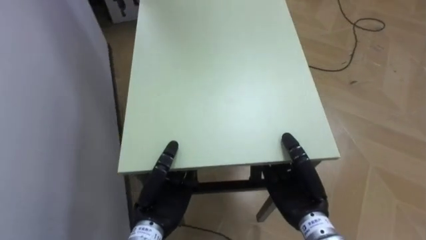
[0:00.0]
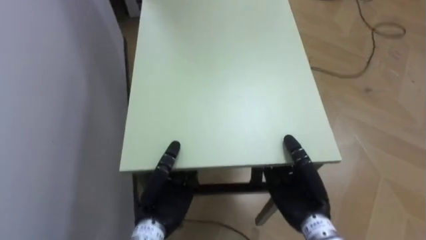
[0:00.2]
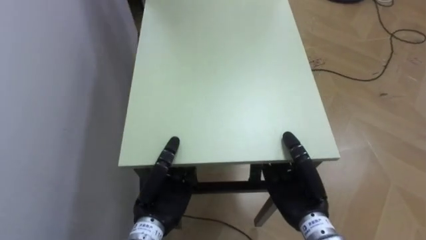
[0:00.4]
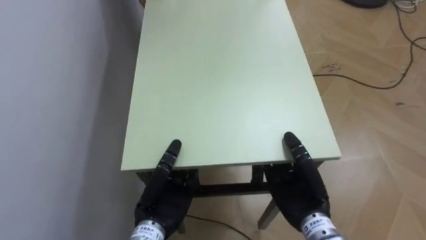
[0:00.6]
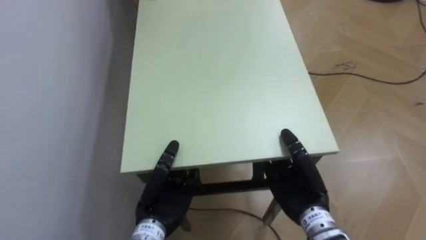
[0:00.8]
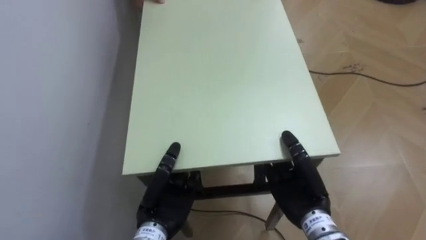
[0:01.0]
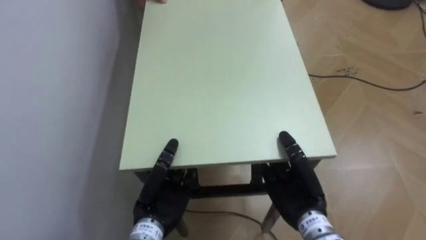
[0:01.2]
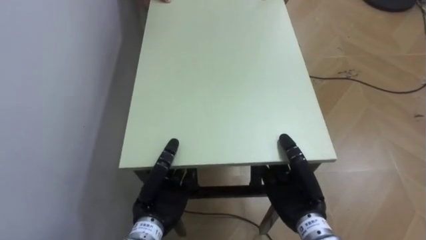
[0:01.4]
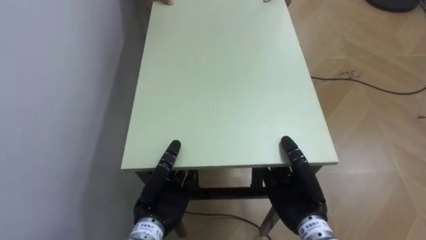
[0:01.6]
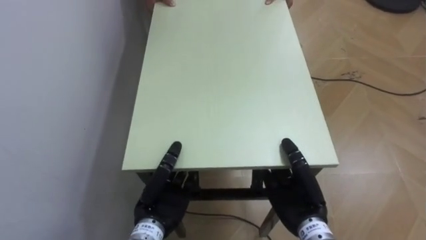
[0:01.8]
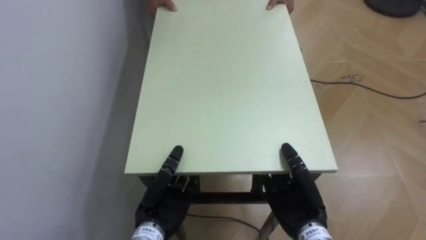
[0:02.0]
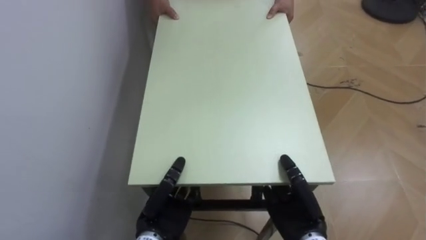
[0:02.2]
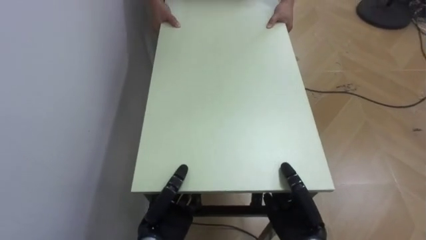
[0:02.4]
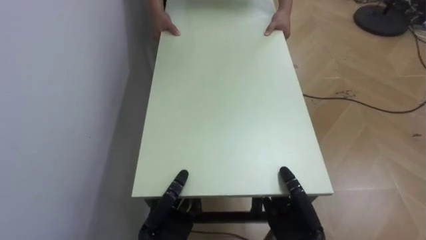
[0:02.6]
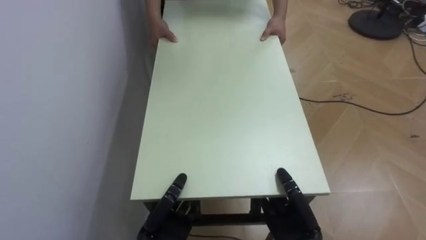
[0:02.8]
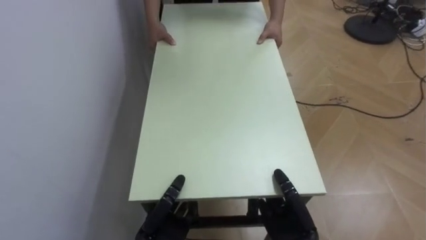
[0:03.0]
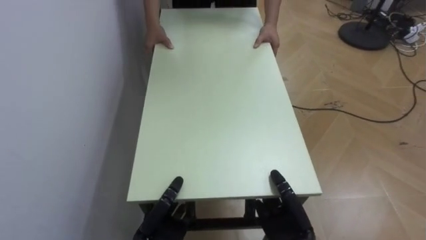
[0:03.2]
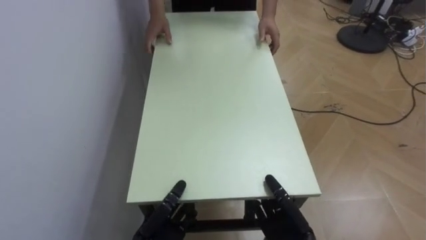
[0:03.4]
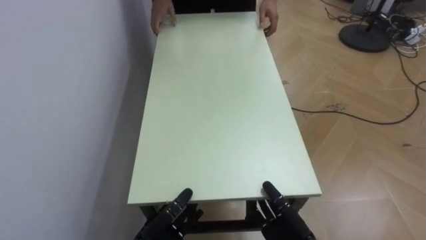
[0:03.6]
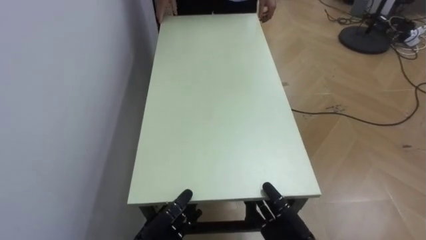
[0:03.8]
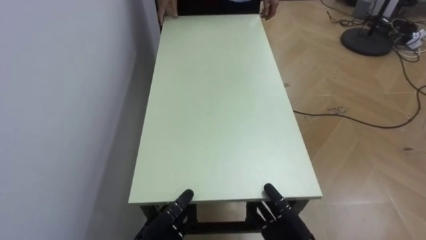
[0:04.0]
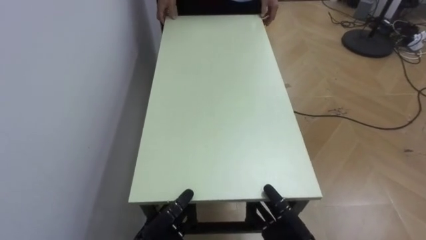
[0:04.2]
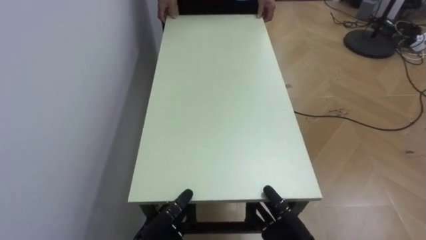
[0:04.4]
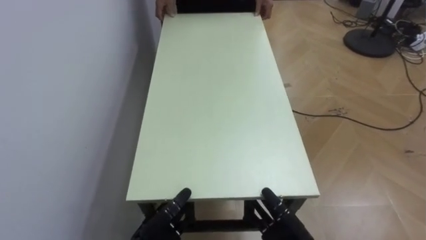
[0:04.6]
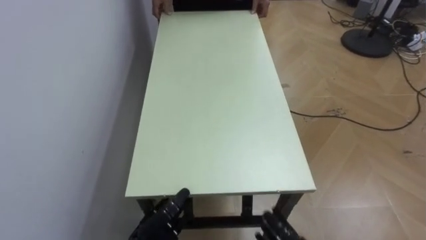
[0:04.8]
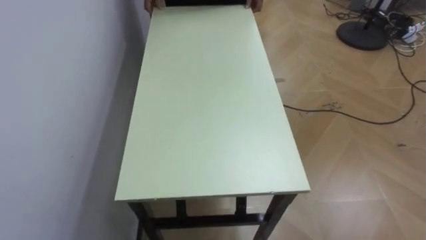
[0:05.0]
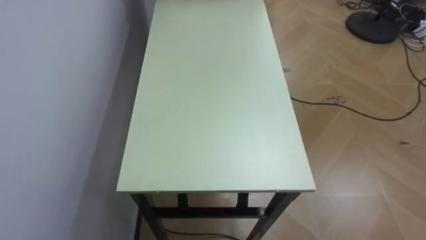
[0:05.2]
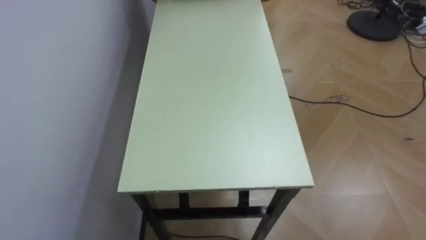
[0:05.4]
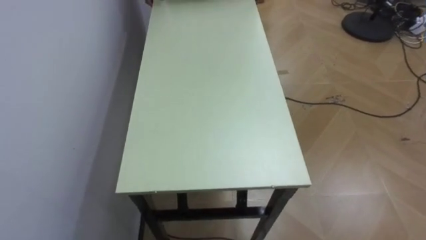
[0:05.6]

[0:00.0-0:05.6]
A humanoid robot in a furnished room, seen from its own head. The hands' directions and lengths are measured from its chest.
Task of the whole recording: Move the table to the back left with someone.
0:00.0 to 0:01.4: The robot rotates roughly 20 degrees to its left.
0:01.4 to 0:02.8: The hands both shift downward by about 5 cm.
0:02.8 to 0:04.2: The left hand opens up. Meanwhile the right hand opens.

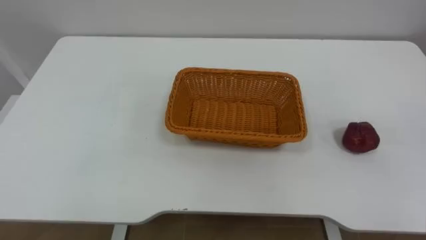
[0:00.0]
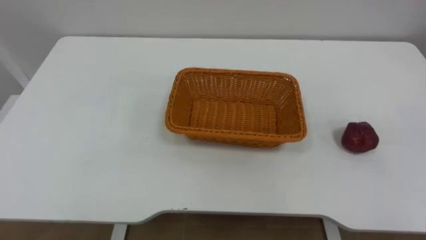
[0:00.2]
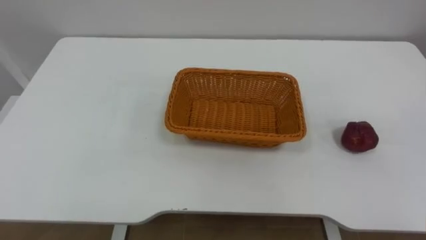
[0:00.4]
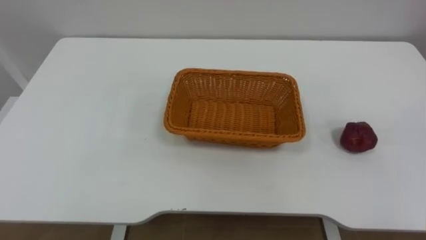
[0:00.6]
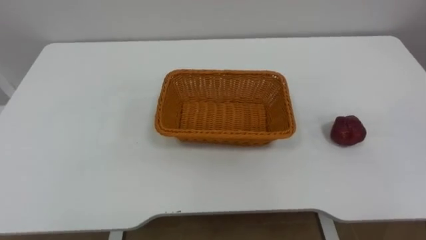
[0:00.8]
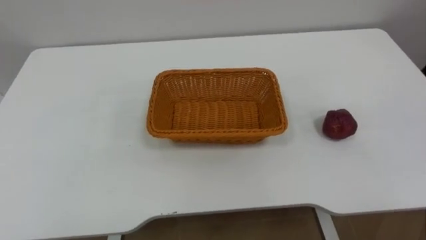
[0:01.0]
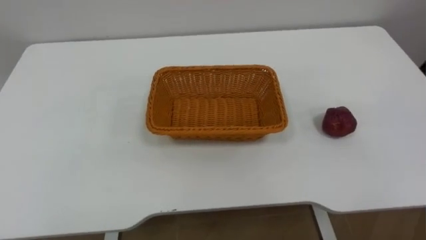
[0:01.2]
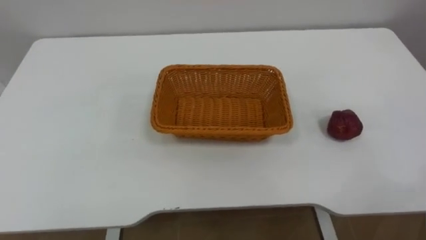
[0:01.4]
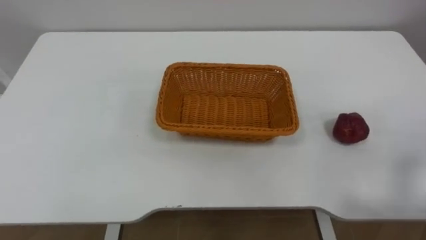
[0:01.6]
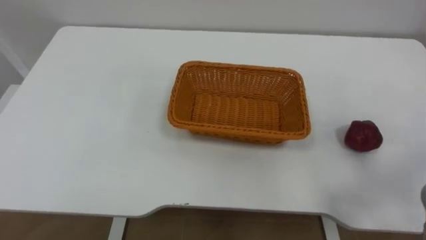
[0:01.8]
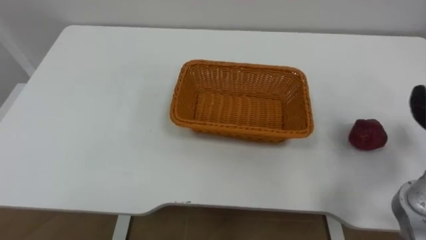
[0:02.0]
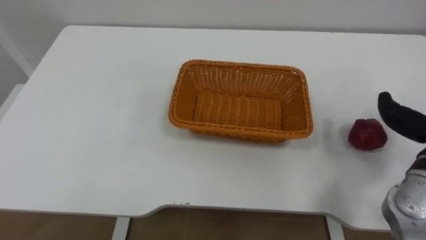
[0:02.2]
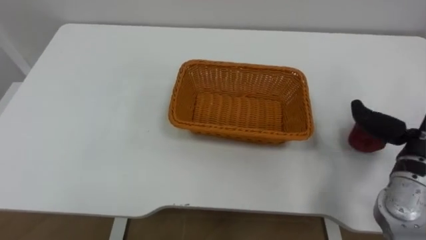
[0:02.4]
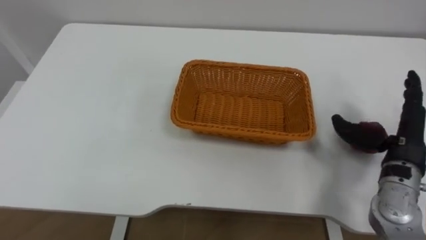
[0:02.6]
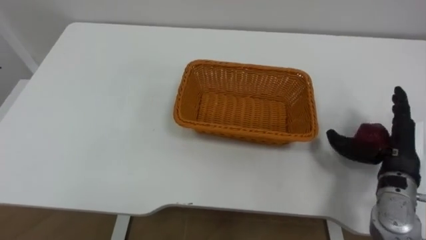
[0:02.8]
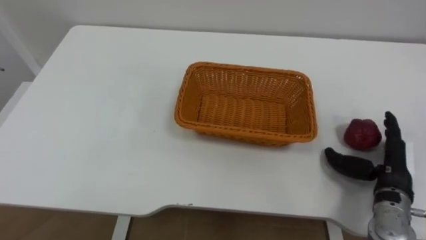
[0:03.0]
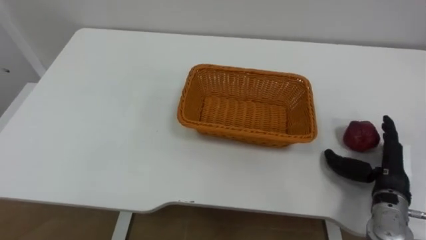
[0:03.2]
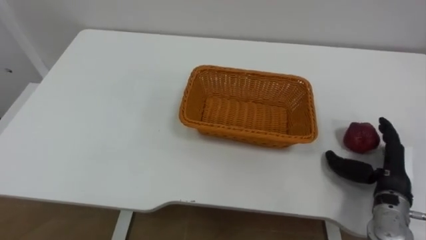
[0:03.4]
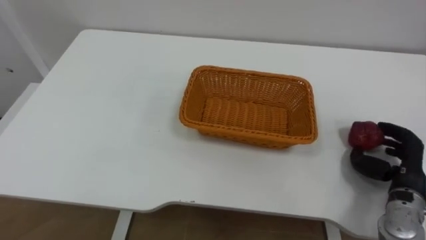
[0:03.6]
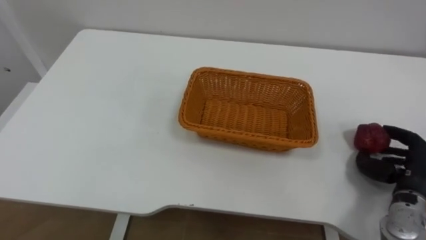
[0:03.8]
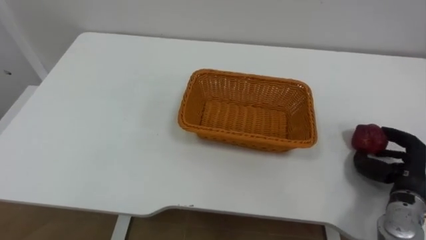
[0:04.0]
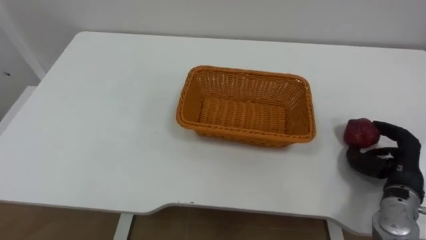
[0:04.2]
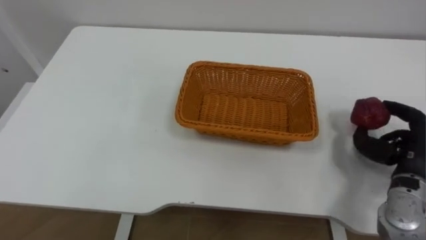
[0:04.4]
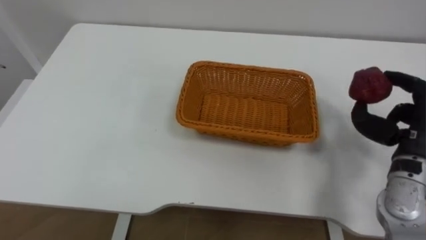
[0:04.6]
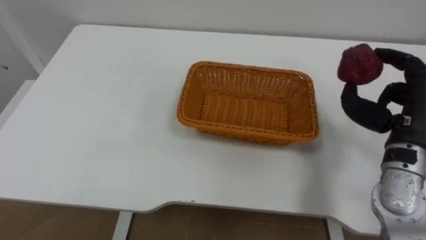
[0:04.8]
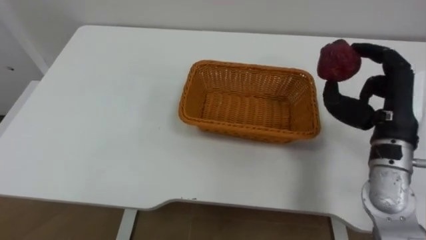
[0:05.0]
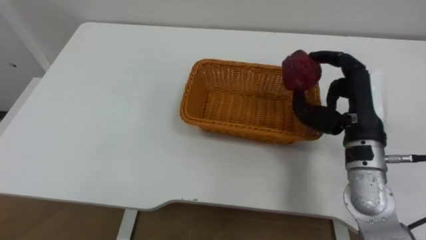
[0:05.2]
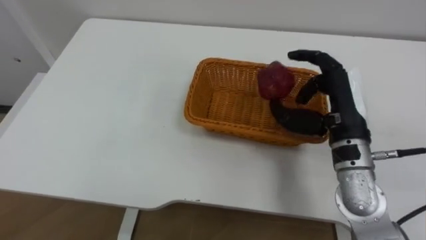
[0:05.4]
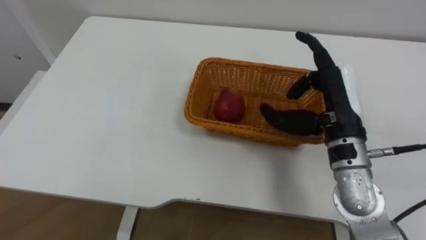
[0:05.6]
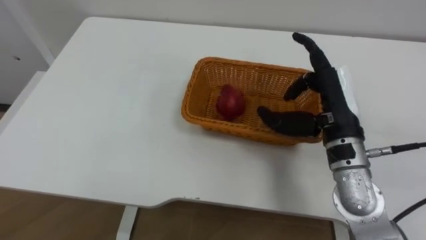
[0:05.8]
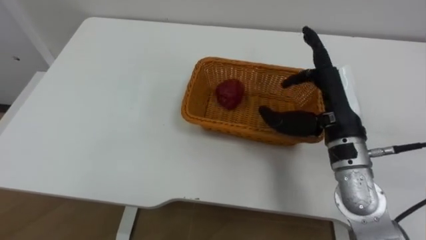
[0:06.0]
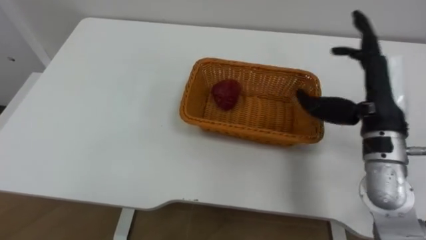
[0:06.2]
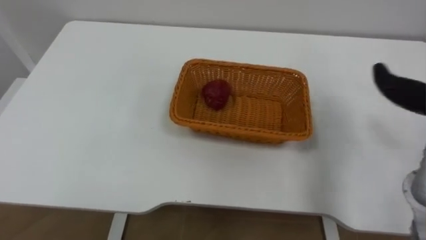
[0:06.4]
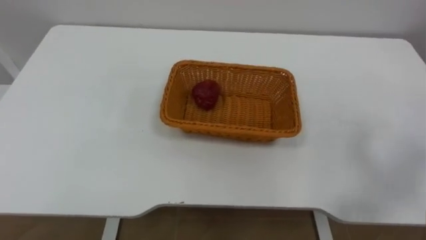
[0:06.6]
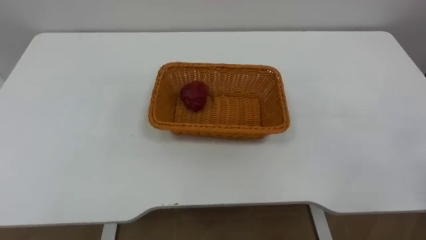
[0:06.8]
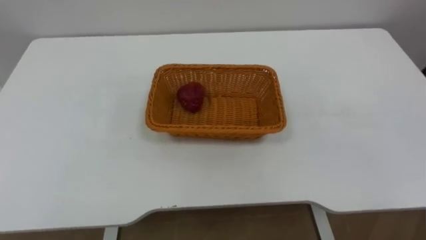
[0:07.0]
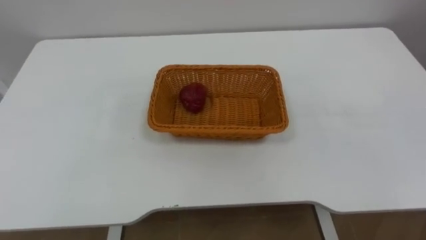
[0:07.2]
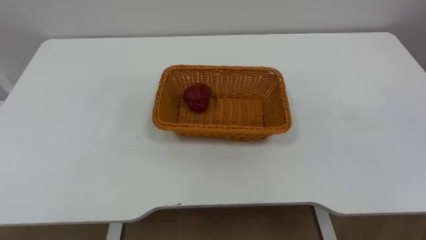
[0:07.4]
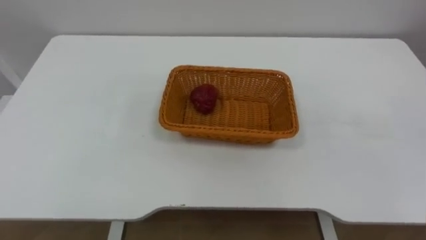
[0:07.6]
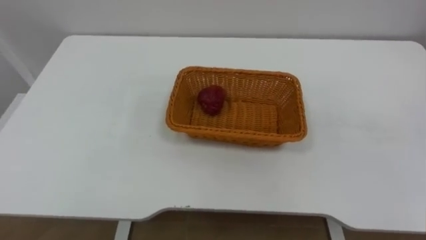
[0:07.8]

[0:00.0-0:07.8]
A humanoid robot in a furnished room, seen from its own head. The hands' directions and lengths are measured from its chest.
Task of the whole recording: Pick the apple and place it in the box.
0:03.2 to 0:04.6: The right hand heads upward, covering roughly 10 cm, and closes its fingers.
0:04.6 to 0:06.2: The right hand heads to the left and upward, covering some 10 cm, and opens up.

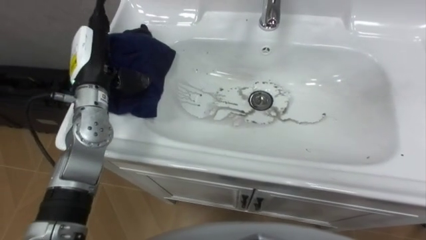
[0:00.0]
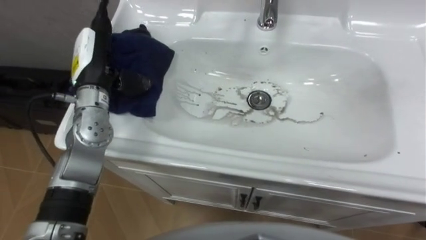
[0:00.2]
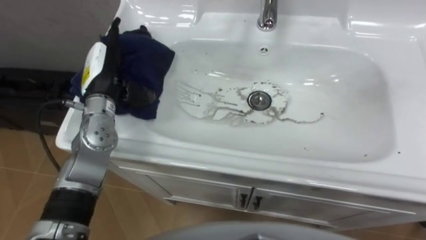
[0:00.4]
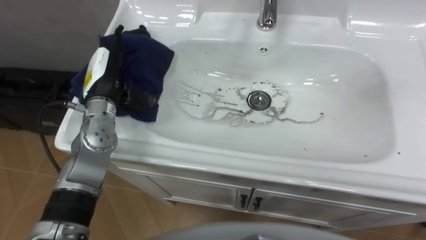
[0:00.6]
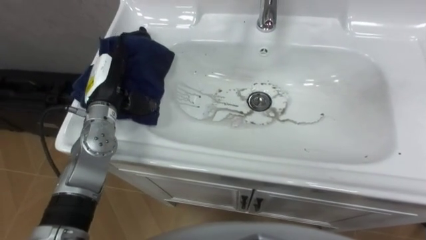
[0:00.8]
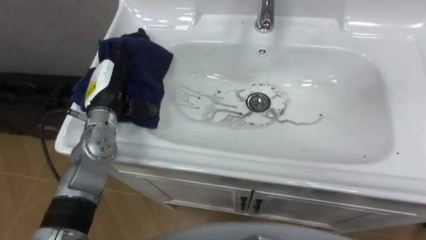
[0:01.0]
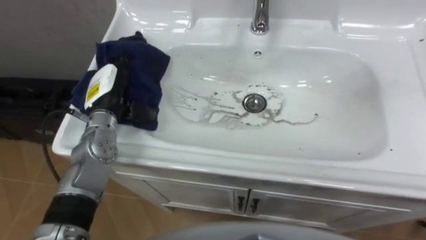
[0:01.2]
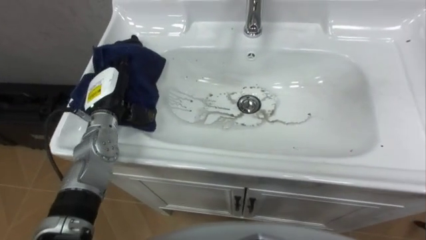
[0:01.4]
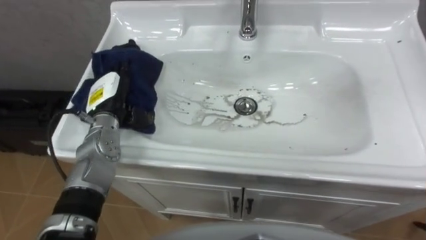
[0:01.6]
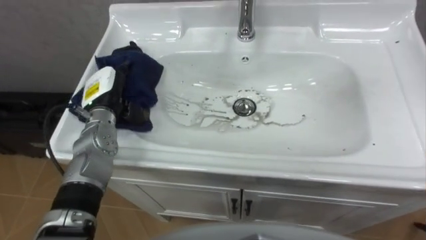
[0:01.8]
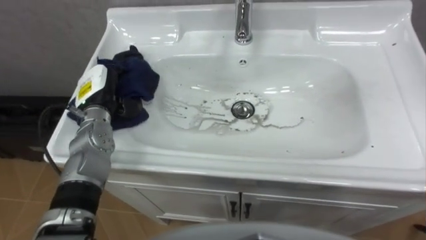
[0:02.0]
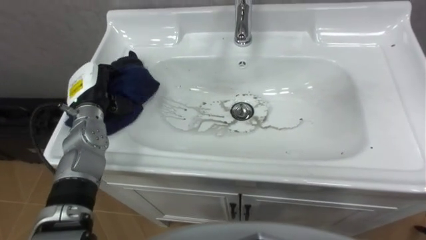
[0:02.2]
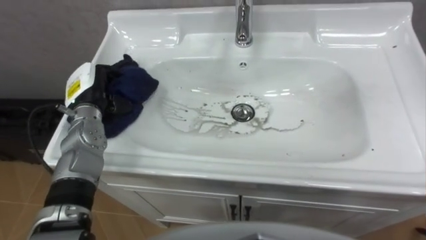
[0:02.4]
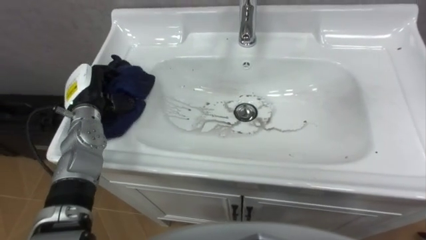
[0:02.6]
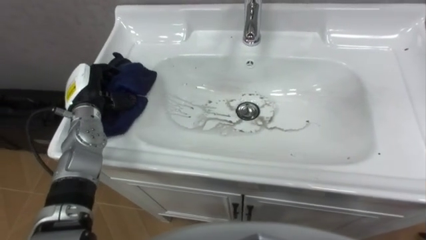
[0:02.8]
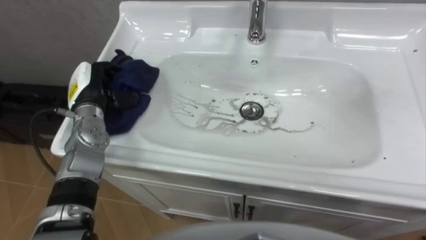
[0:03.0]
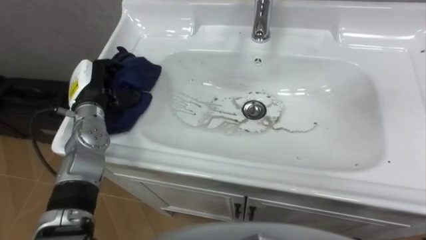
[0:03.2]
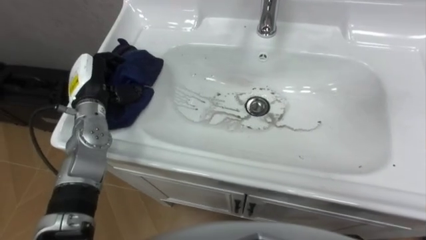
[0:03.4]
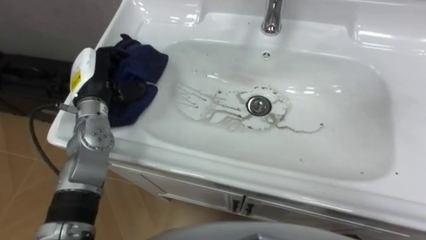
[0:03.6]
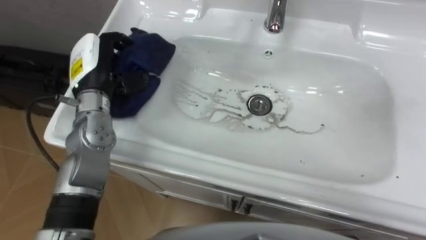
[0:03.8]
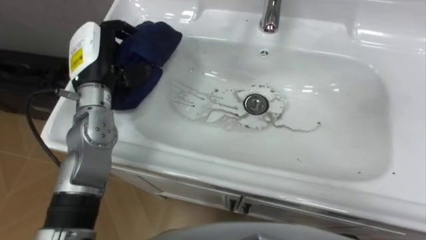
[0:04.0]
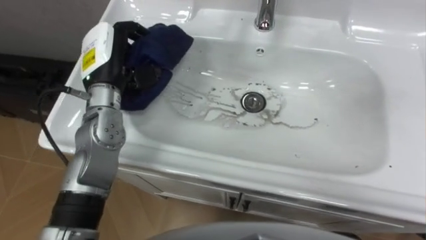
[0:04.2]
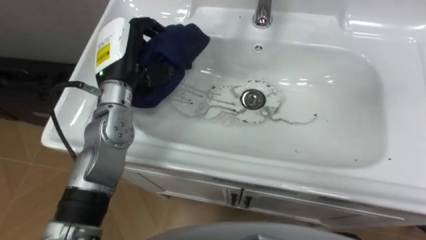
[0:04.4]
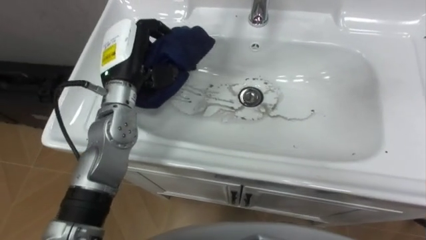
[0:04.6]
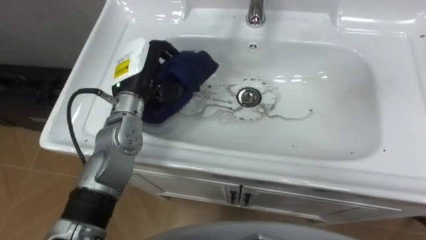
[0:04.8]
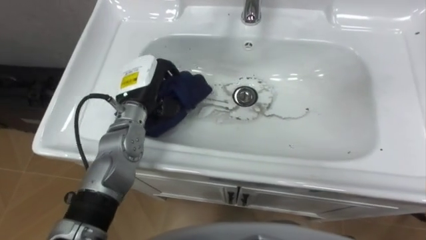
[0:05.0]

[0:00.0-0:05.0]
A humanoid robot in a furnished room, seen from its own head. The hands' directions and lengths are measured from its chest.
Task of the whole recording: Use the cloth on the right to wipe away the black stain in the sink.
0:00.0 to 0:01.6: The left hand is displaced downward by some 10 cm.
0:01.6 to 0:03.4: The left hand changes place by roughly 5 cm, and closes up.
0:03.4 to 0:05.0: The left hand moves to the right, roughly 10 cm.
